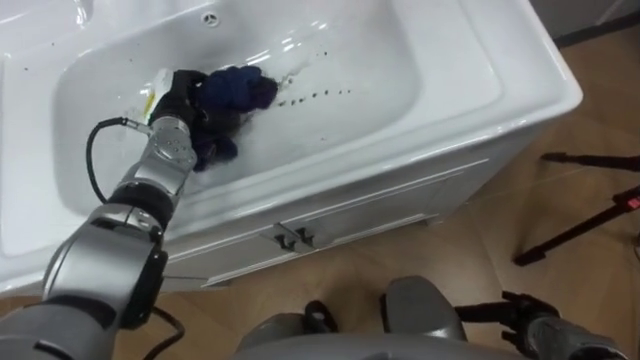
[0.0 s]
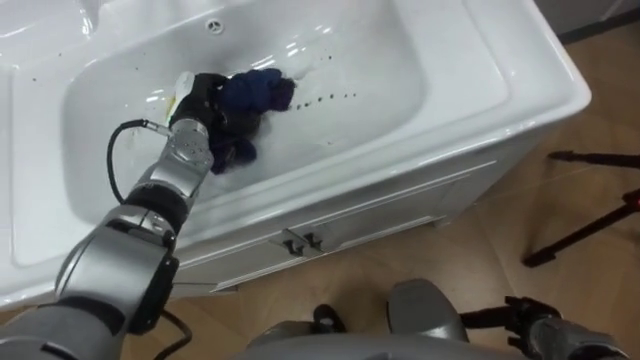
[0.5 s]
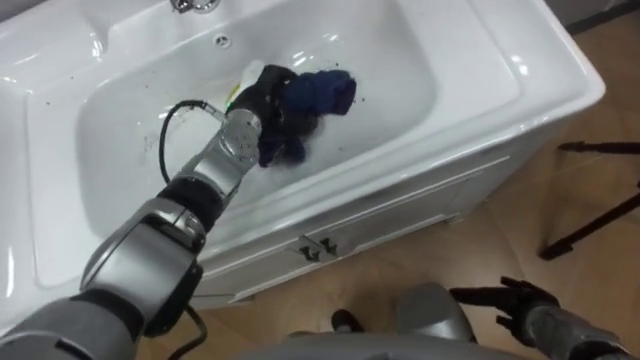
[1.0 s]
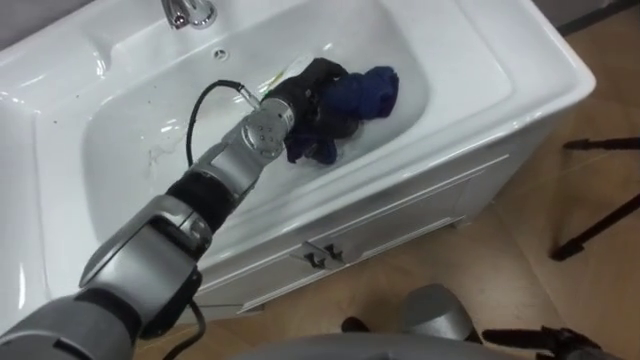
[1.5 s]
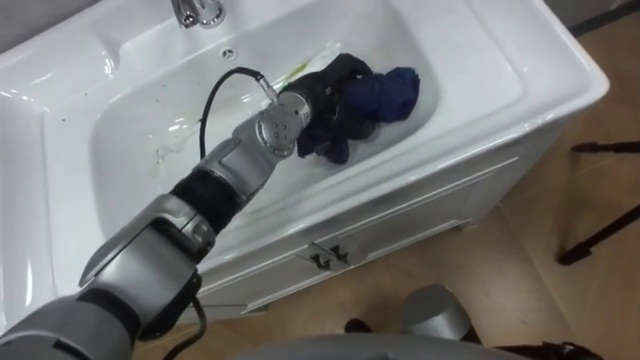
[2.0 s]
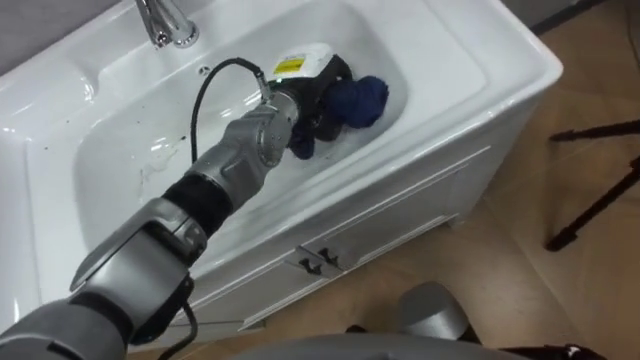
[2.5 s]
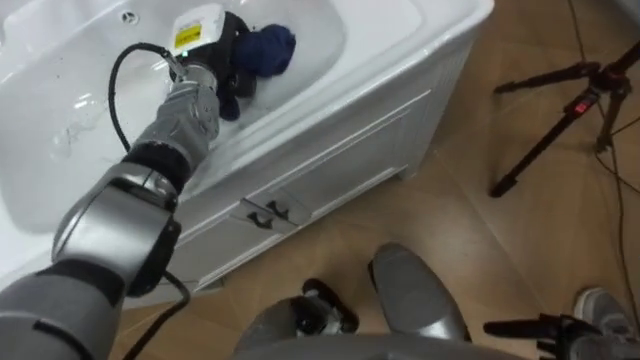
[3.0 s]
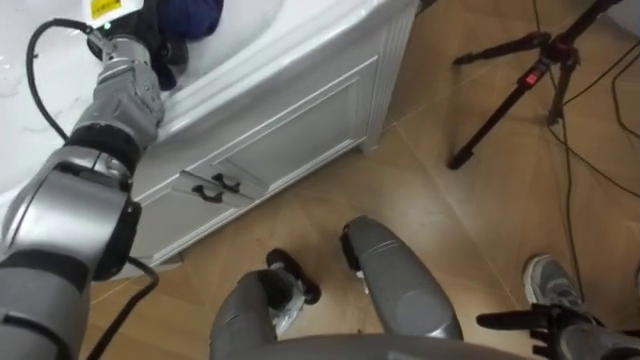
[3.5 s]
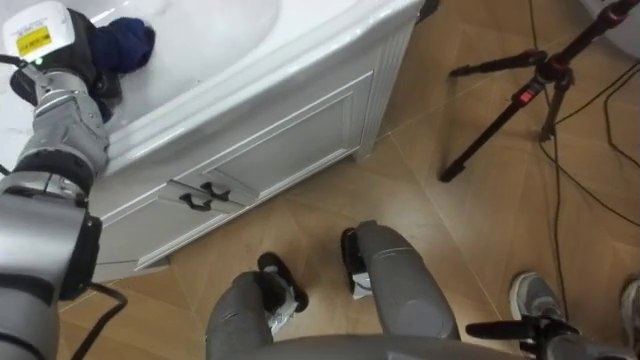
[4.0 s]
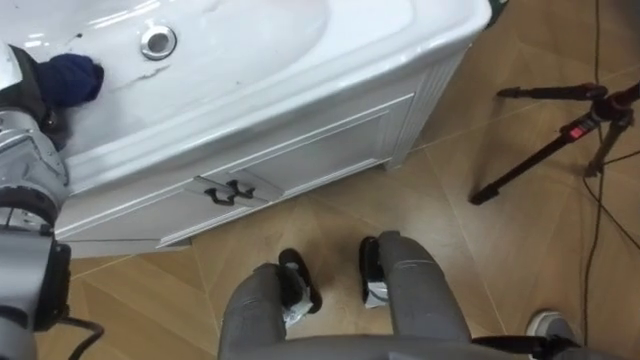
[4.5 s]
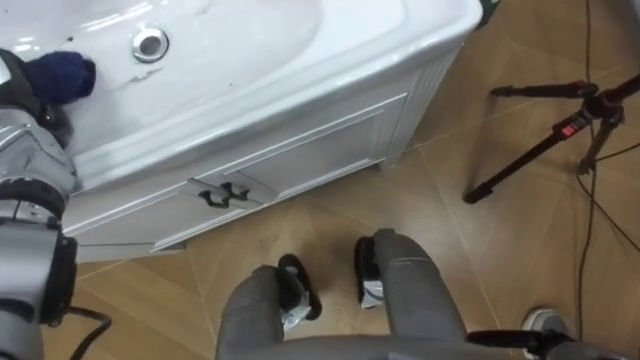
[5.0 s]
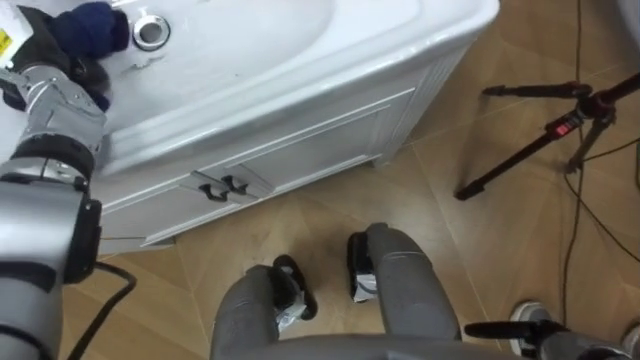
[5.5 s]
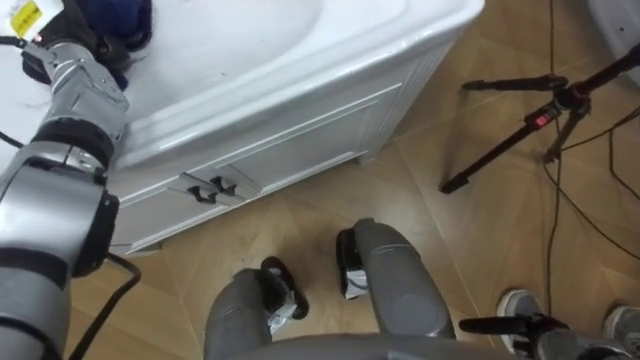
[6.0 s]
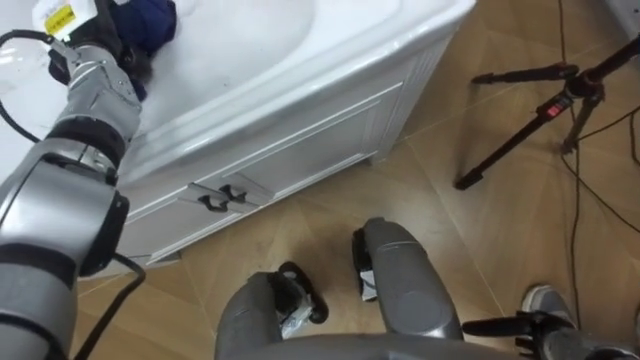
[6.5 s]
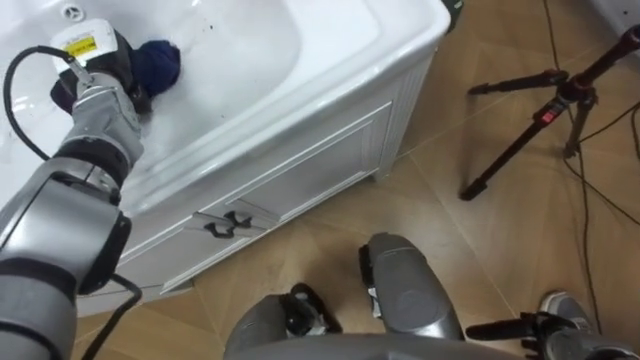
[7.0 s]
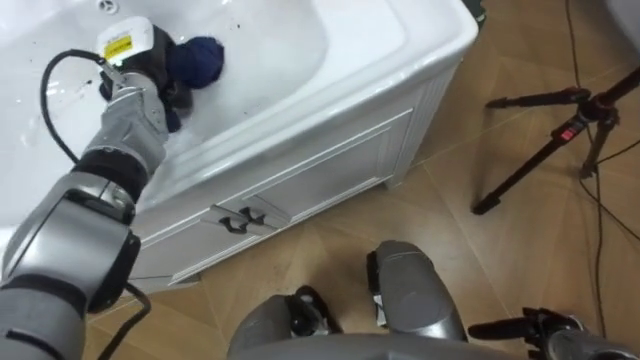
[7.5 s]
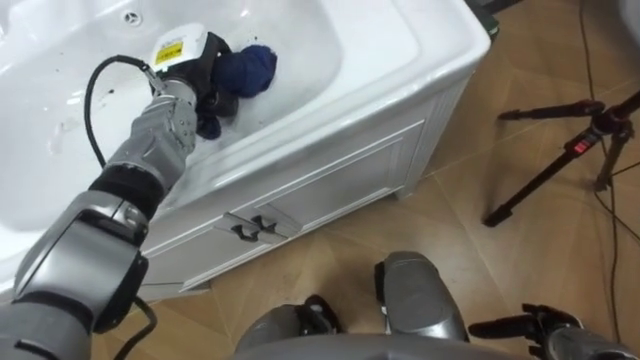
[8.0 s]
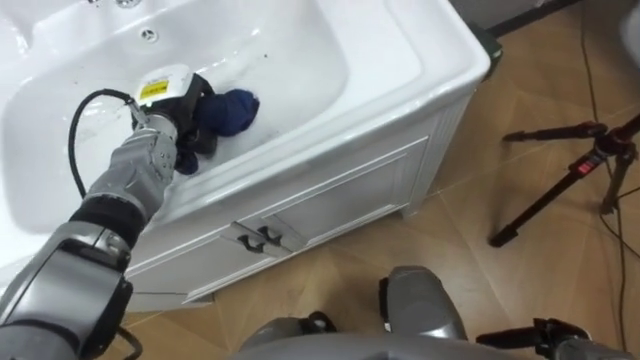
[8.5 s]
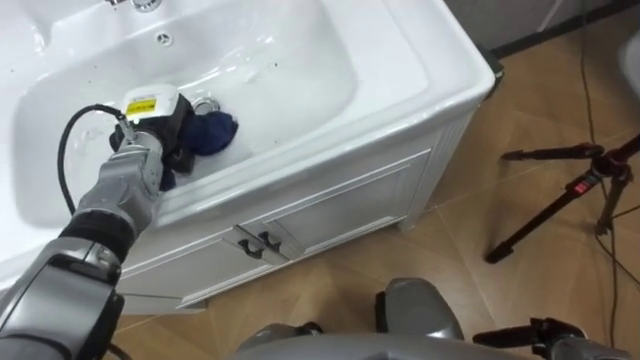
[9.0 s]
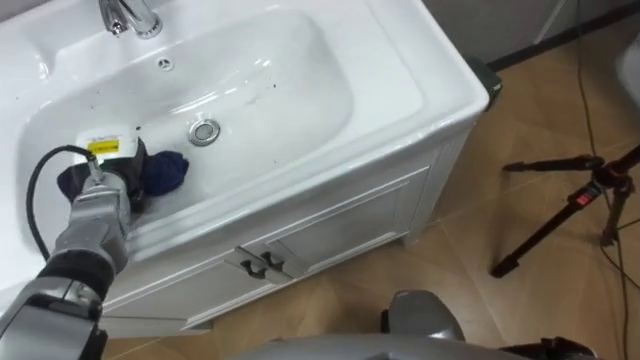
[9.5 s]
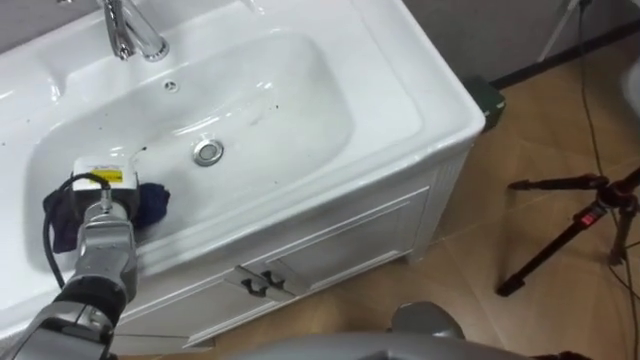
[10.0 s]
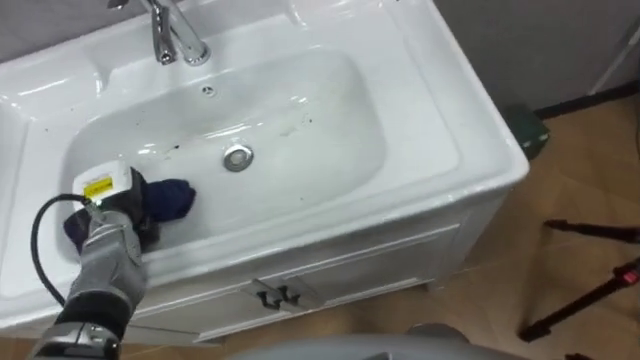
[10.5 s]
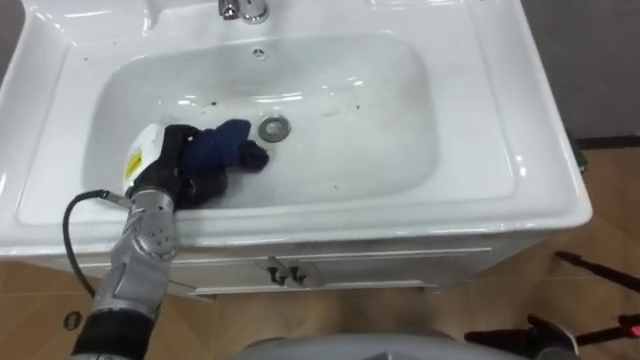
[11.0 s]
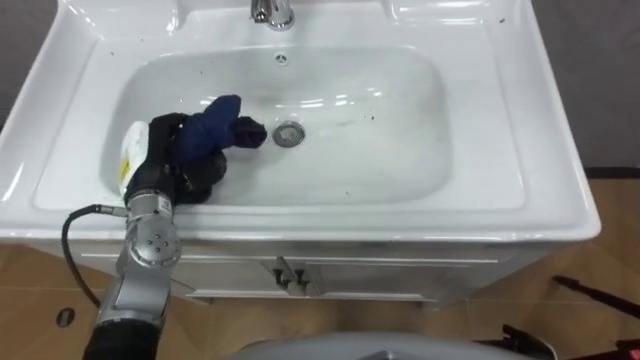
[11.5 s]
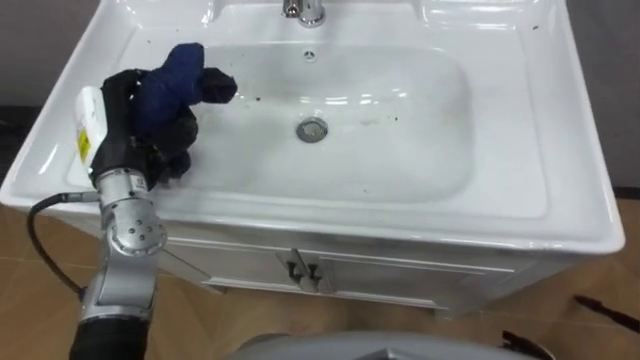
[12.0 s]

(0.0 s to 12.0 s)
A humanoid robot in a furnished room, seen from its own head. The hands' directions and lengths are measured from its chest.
Task of the whole recording: Use the cloth on the right to wipe away the black stain in the sink.
0.0 s - 2.0 s: The left hand goes approximately 20 cm to the right.
2.0 s - 4.0 s: The left hand heads to the left, covering some 35 cm.
6.0 s - 8.0 s: The left hand moves to the right and downward, about 15 cm.
8.0 s - 10.0 s: The left hand moves backward, to the left and downward, approximately 20 cm.
10.0 s - 12.0 s: The left hand heads upward and to the right, covering about 15 cm.

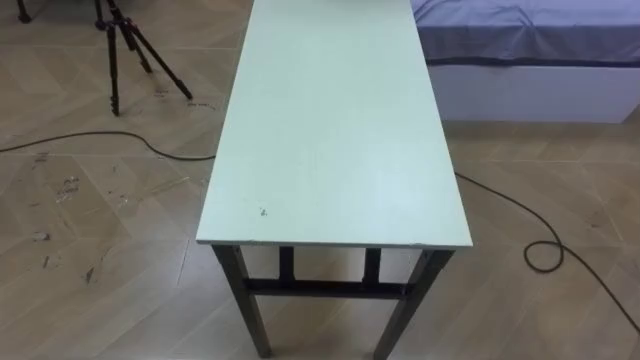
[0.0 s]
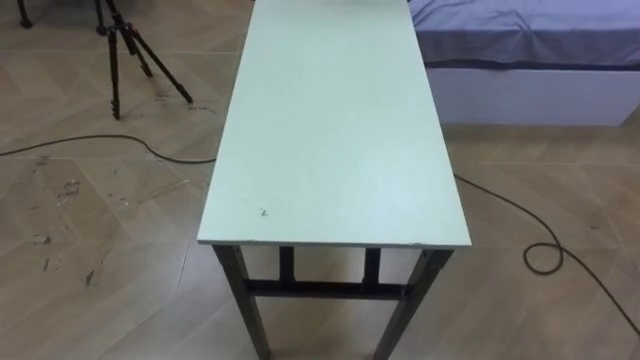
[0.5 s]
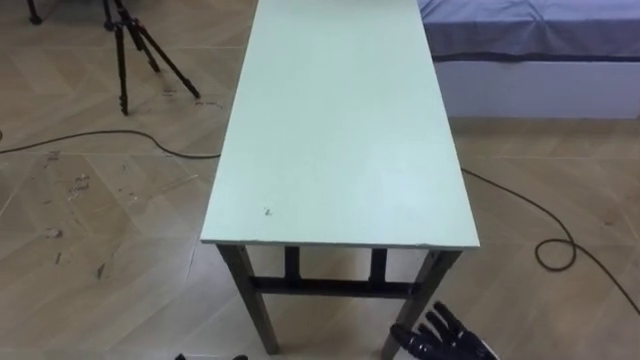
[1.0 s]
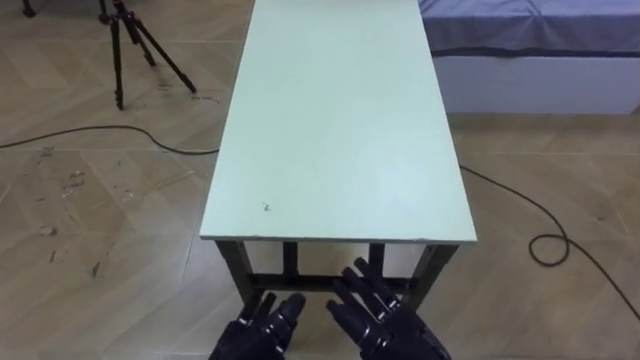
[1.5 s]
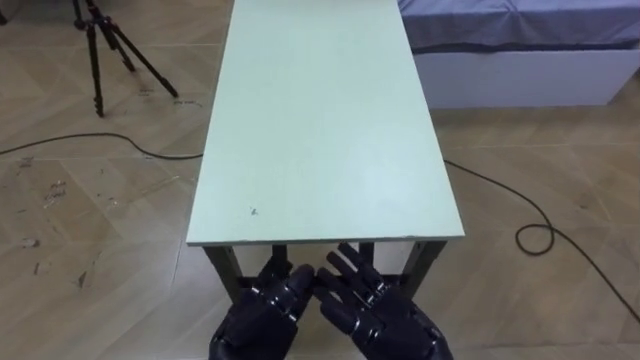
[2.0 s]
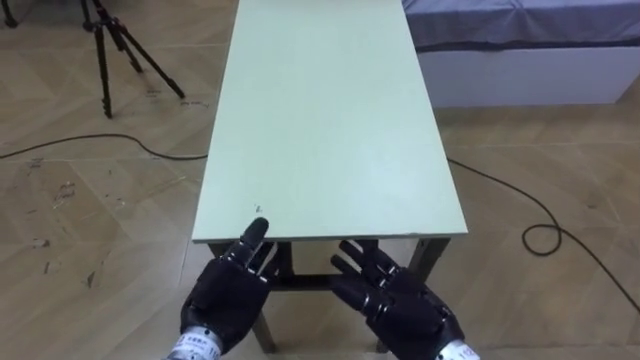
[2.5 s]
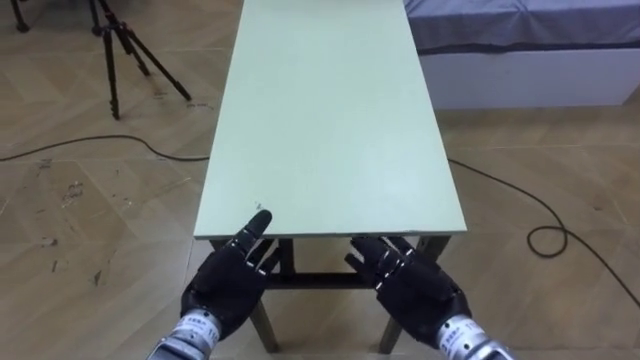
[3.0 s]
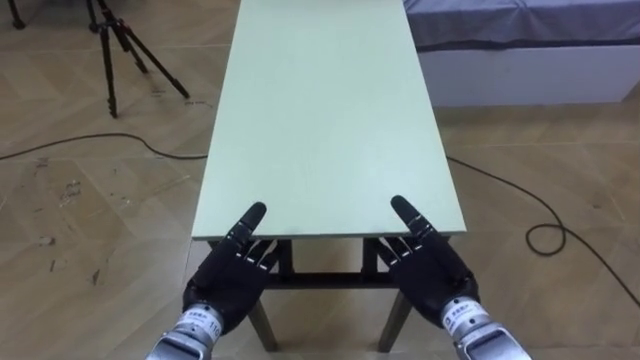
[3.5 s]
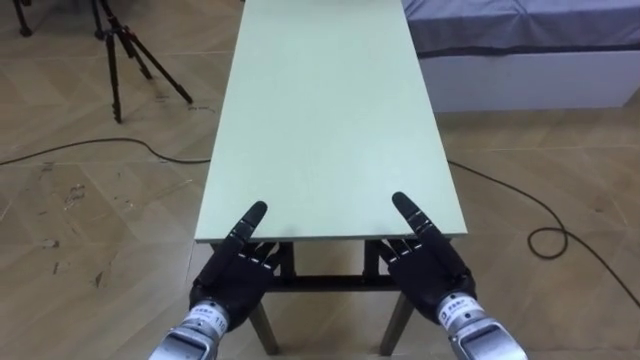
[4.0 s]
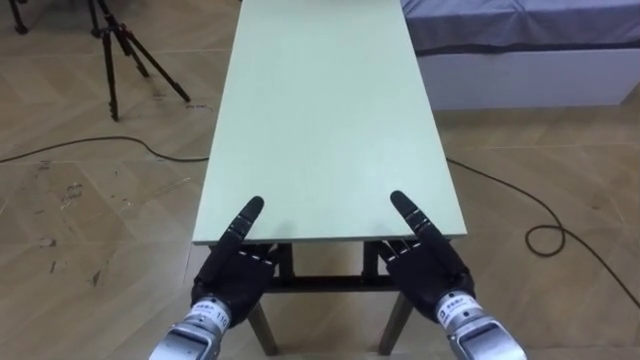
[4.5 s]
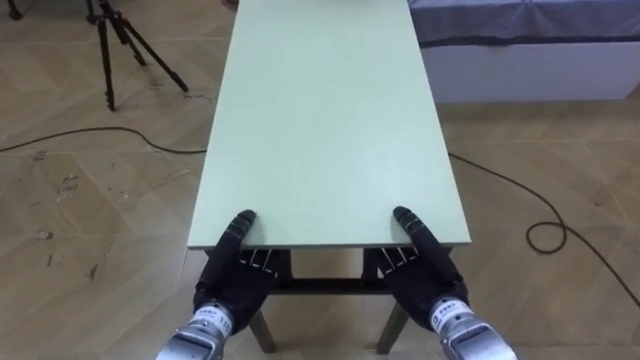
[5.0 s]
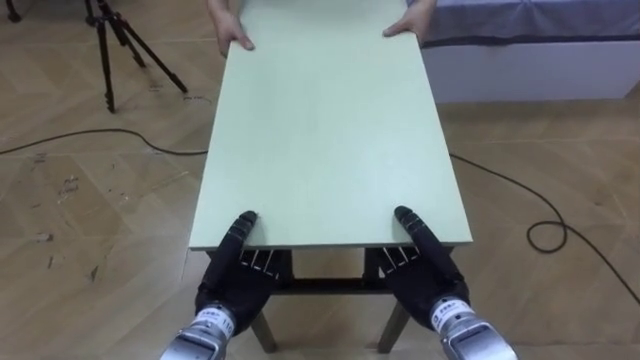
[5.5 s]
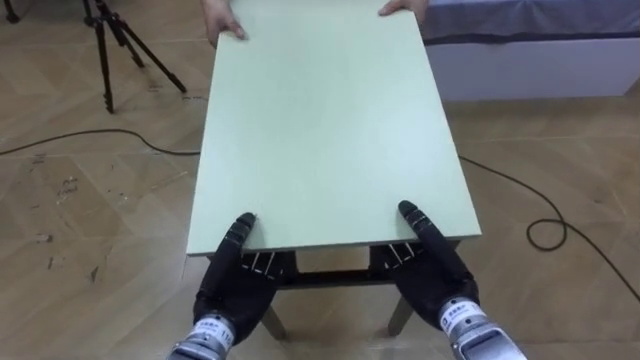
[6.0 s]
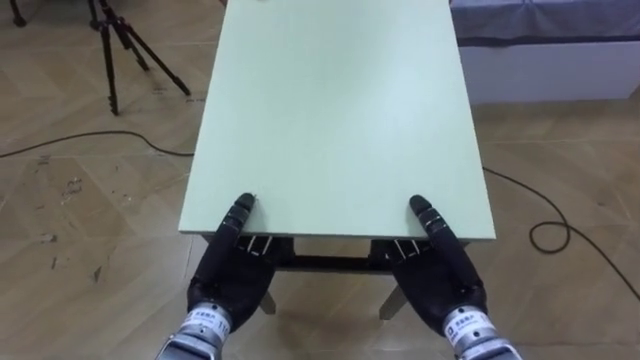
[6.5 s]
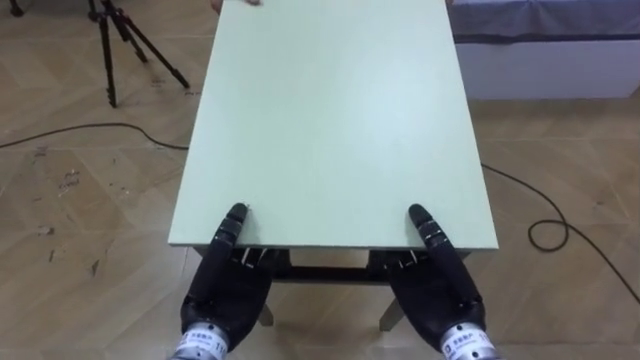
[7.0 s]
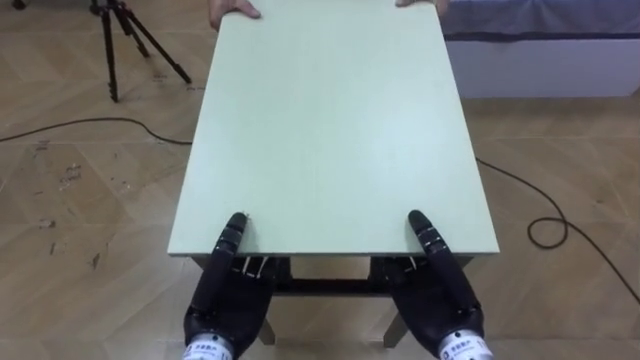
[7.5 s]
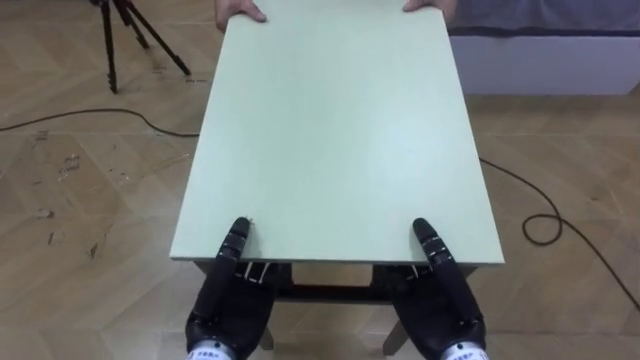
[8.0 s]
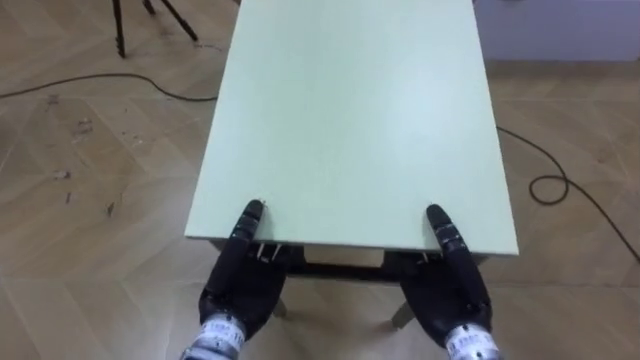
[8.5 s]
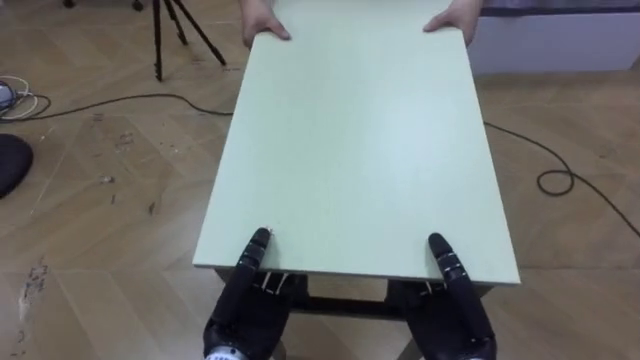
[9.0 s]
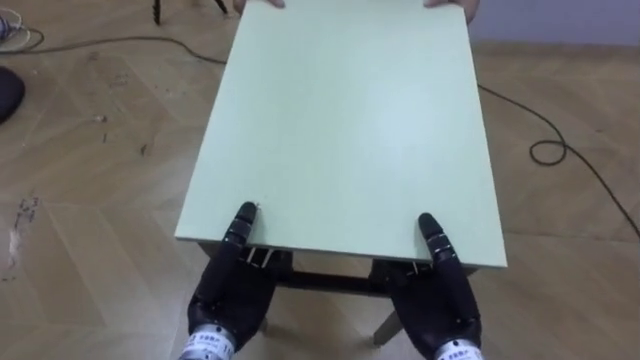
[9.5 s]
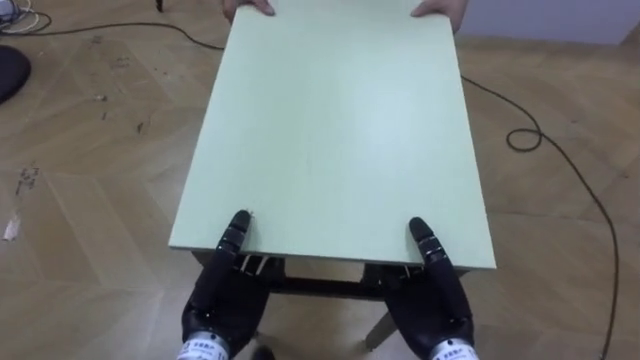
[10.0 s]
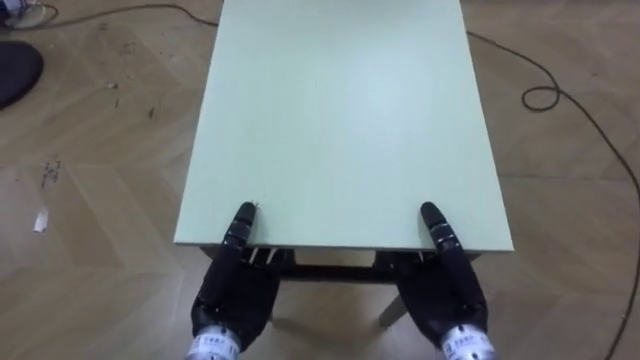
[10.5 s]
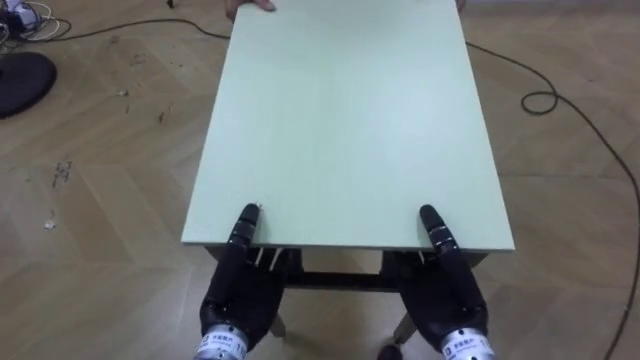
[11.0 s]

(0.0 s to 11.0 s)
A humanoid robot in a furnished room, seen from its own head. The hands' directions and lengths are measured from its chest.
Task of the whole recording: Move the table to the back left with someone.
2.0 s - 3.5 s: The right hand moves forward and to the right, some 10 cm; the left hand heads forward, covering some 5 cm.
3.5 s - 5.5 s: The right hand closes up, while the left hand closes up.
5.5 s - 7.5 s: The left hand shifts by roughly 5 cm, while the right hand changes place by about 5 cm.
